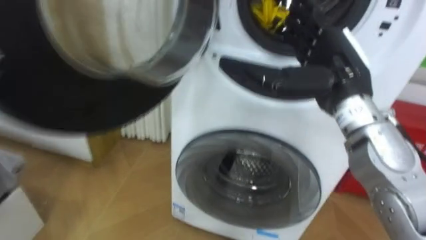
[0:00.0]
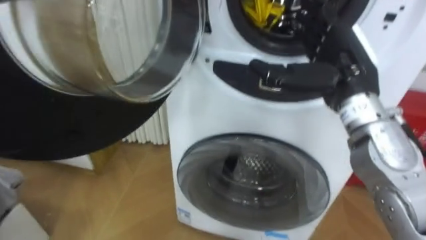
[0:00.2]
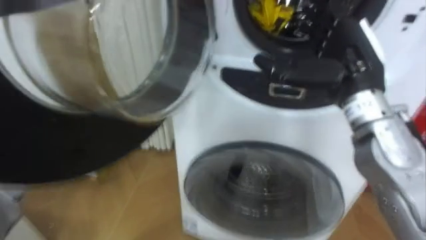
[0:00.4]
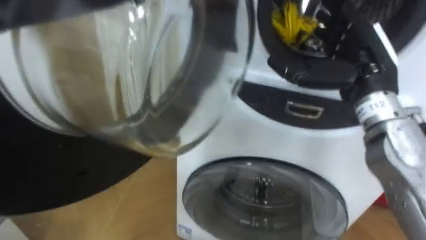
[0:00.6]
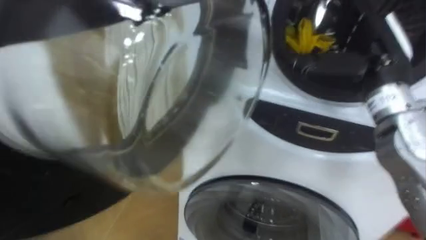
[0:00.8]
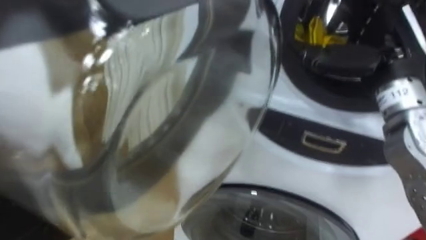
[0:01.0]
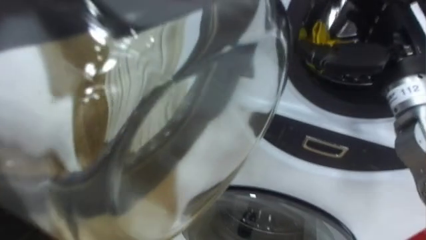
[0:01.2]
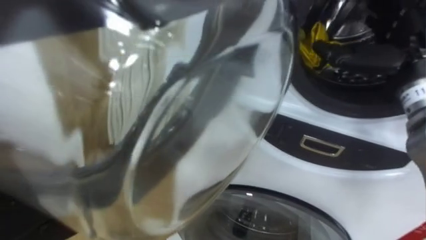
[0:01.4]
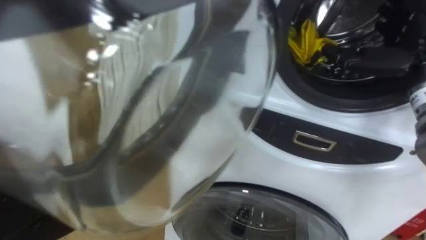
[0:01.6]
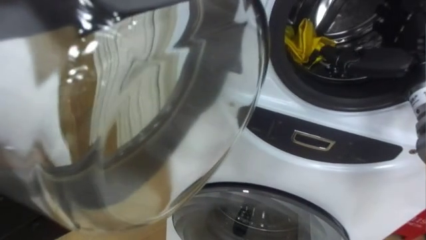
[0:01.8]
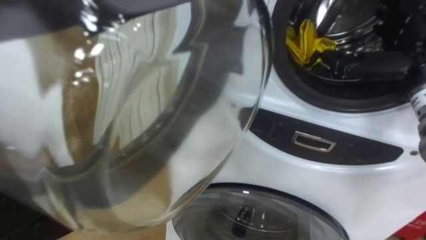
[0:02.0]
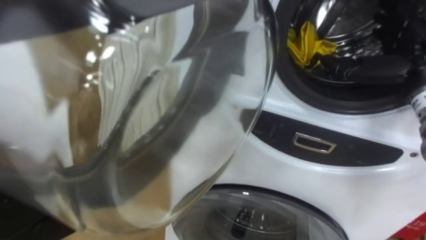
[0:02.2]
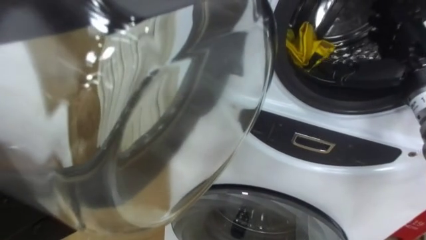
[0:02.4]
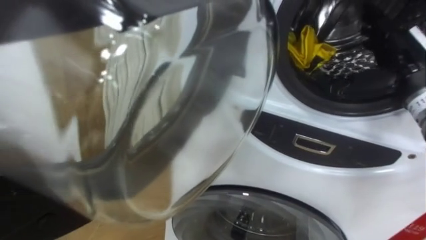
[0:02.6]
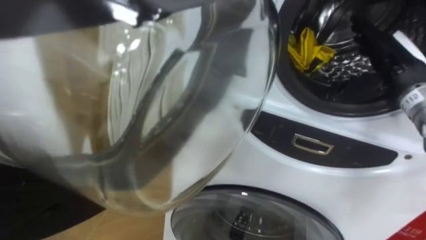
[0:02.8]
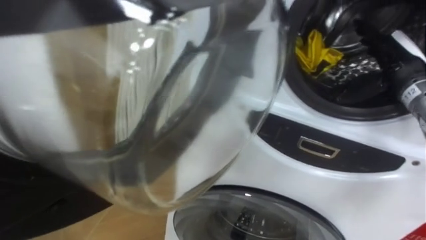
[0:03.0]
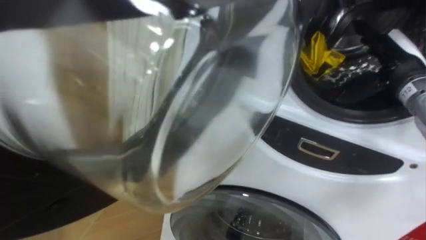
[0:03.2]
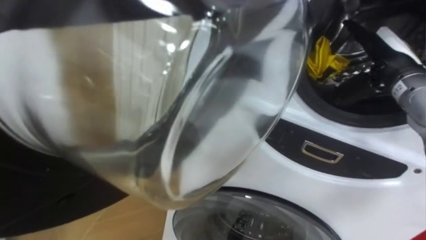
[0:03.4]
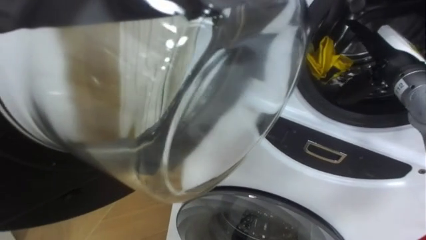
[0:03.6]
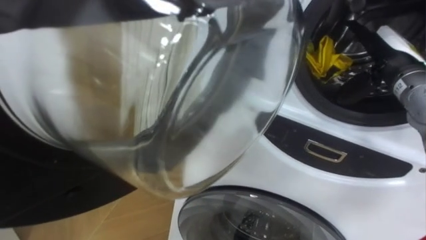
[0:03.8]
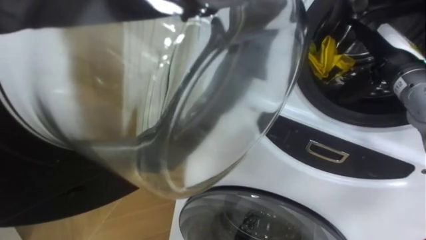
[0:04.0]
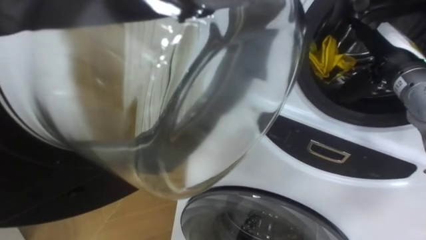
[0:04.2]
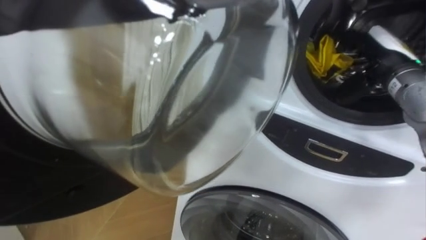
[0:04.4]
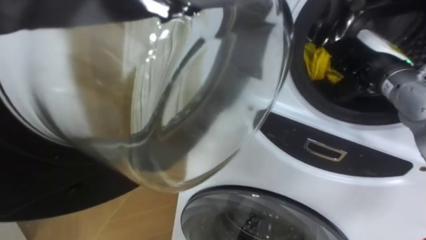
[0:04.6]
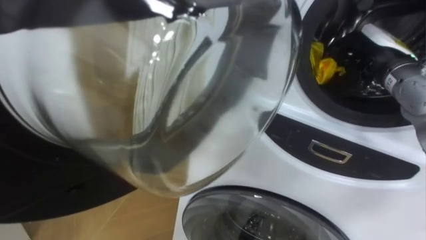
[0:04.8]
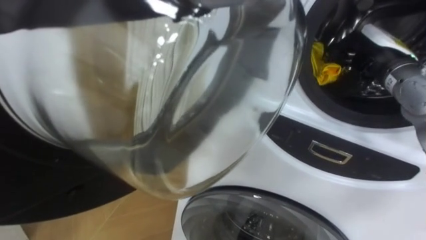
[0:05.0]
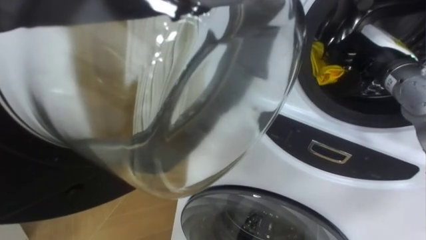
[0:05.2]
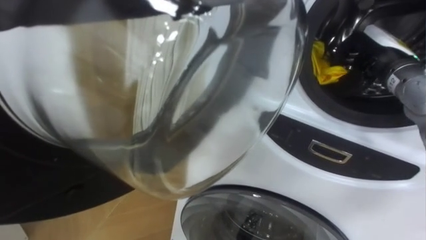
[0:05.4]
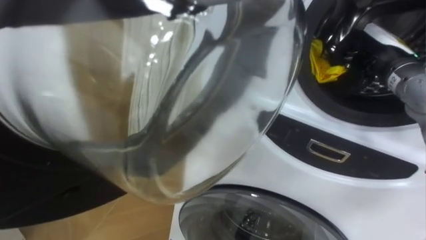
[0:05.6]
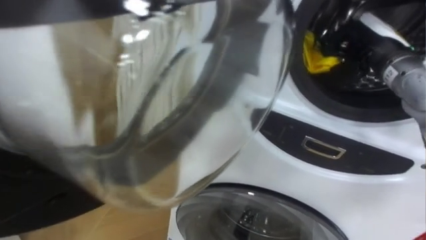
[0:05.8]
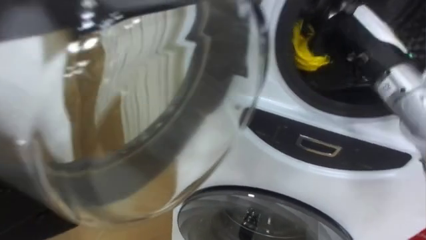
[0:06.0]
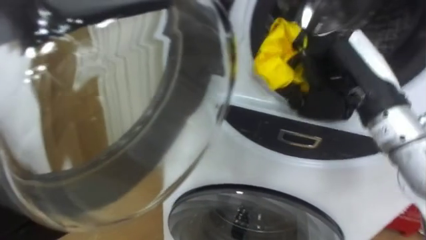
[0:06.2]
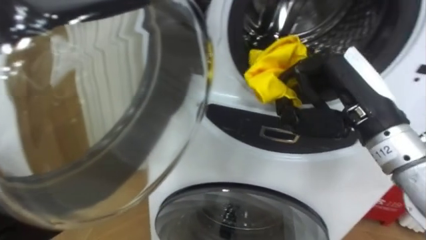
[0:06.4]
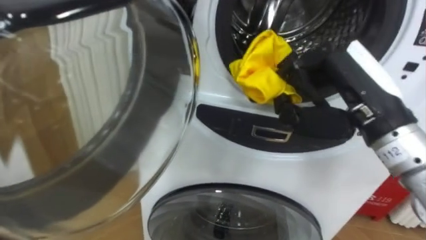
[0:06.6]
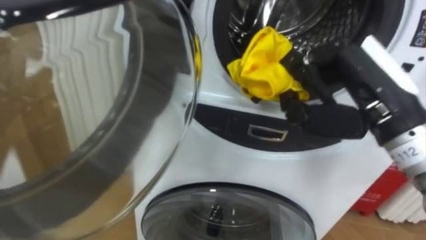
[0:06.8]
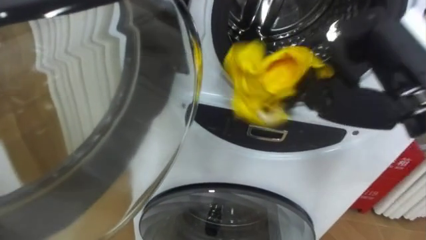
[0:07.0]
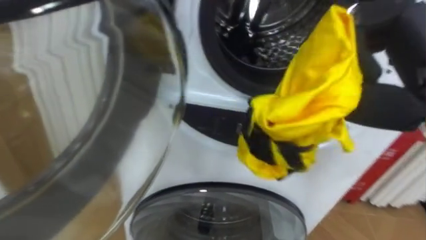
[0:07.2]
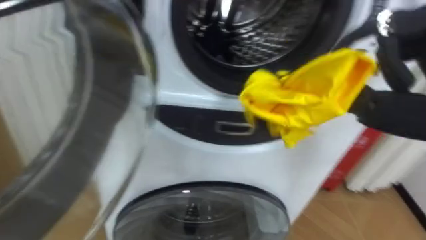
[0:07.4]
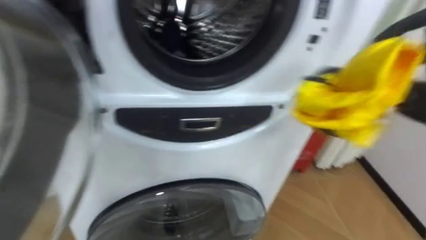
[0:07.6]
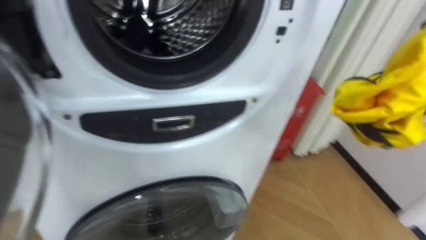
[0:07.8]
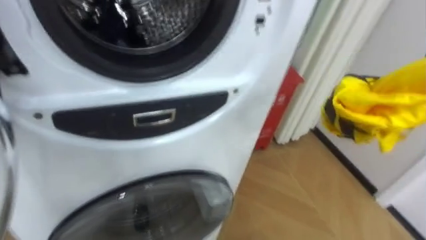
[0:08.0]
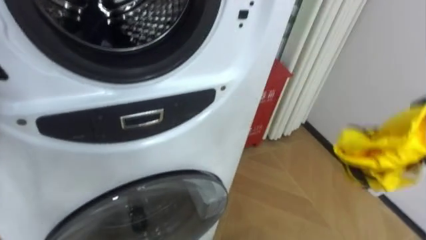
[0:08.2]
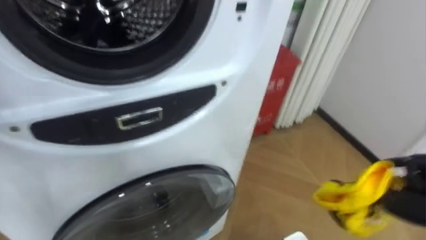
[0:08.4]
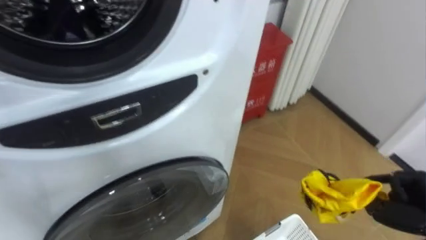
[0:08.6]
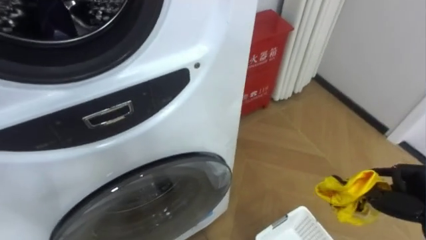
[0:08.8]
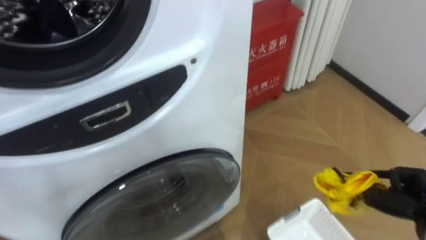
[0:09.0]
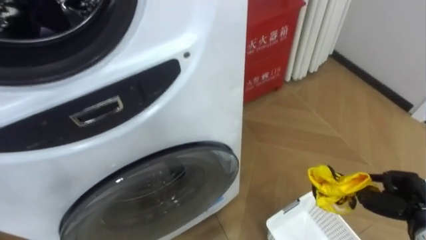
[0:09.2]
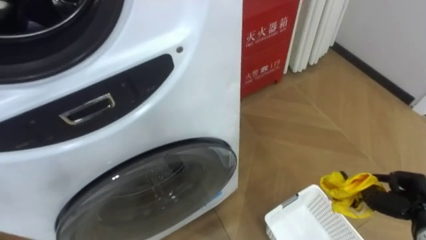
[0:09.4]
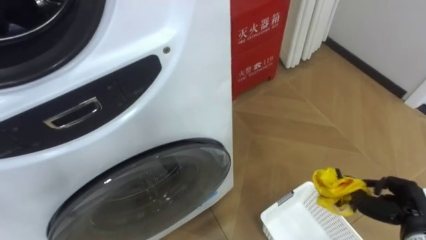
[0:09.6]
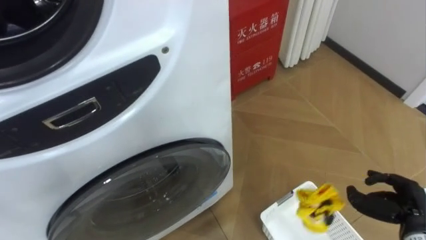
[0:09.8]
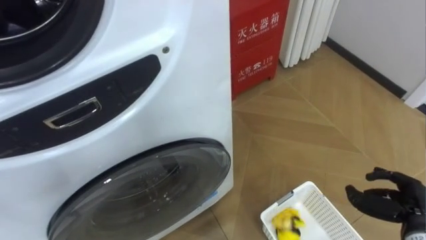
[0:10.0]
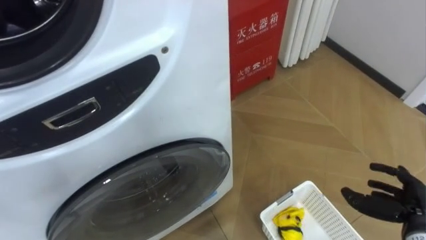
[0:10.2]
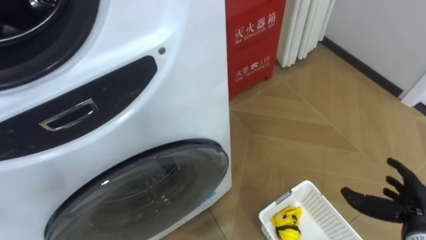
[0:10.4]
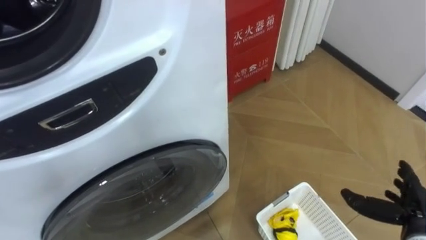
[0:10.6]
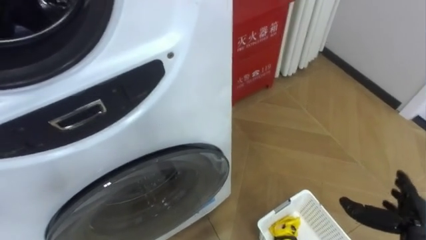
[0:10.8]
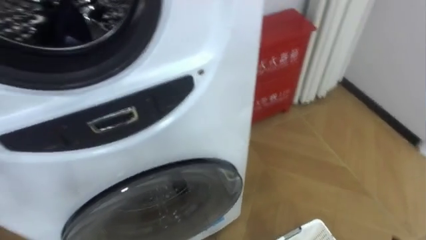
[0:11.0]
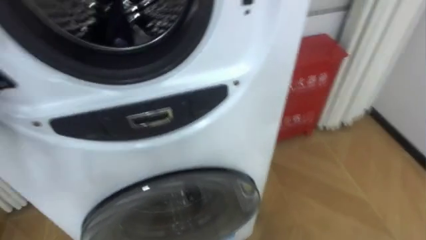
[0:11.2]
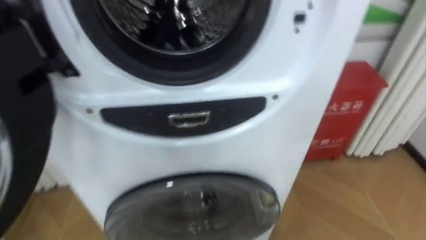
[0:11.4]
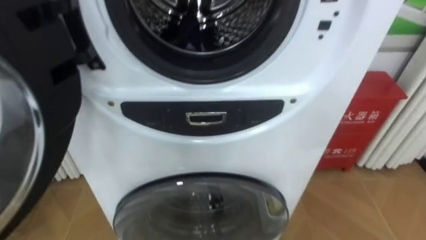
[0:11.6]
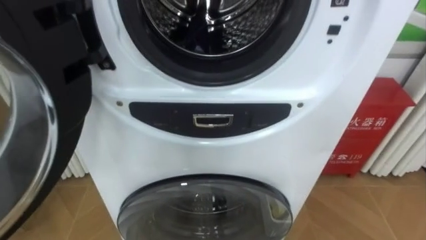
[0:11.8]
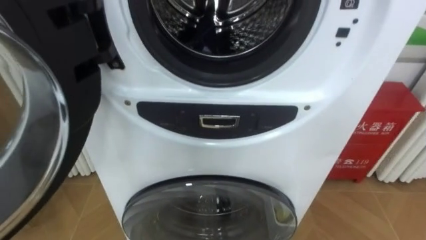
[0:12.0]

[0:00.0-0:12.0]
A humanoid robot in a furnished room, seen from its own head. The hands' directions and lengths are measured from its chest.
Task of the whole recording: Open the washing machine door, take out the yellow clothes, place them in the box on the right, and close the washing machine door.
0:00.0 to 0:01.6: The right hand heads to the right, covering approximately 10 cm.
0:01.6 to 0:03.0: The right hand moves approximately 5 cm.
0:04.4 to 0:06.0: The right hand goes roughly 5 cm to the left, and closes up.
0:09.0 to 0:10.4: The right hand opens up.

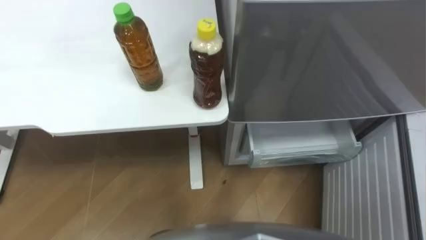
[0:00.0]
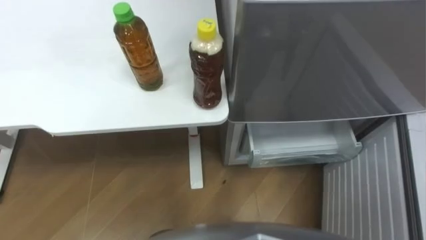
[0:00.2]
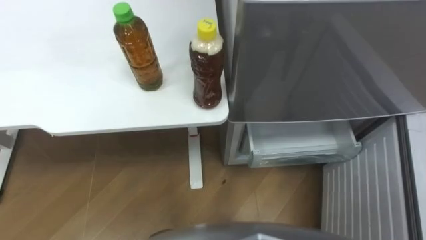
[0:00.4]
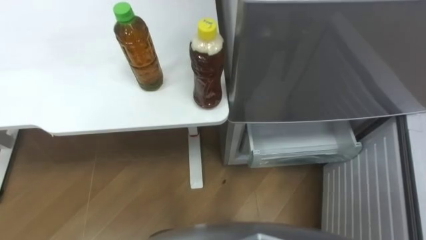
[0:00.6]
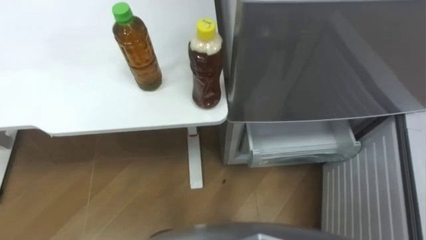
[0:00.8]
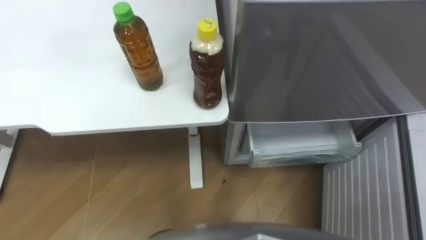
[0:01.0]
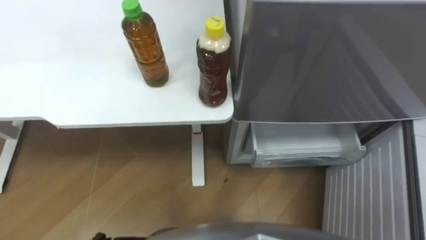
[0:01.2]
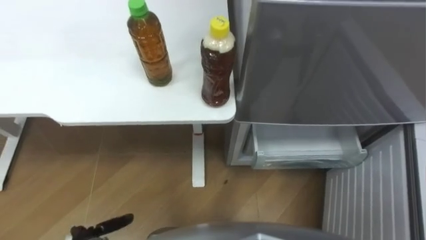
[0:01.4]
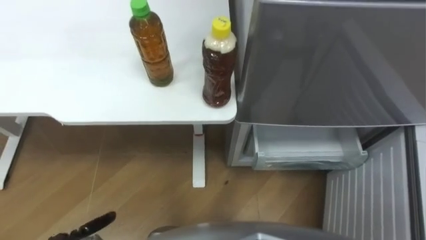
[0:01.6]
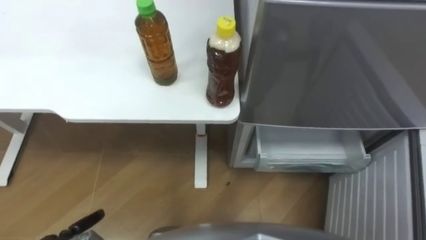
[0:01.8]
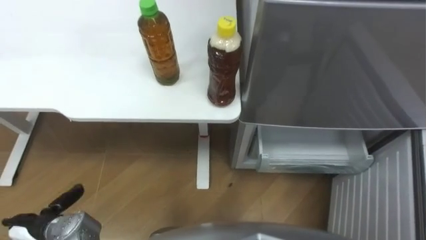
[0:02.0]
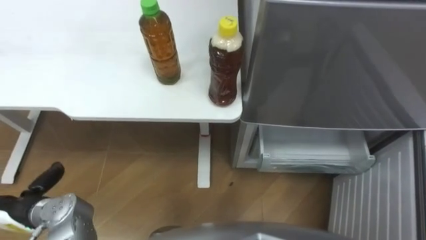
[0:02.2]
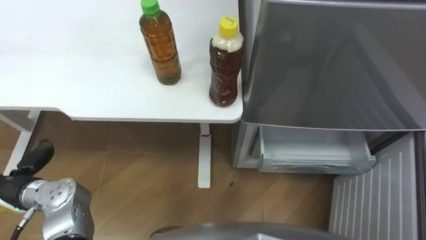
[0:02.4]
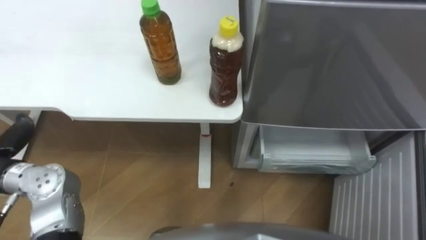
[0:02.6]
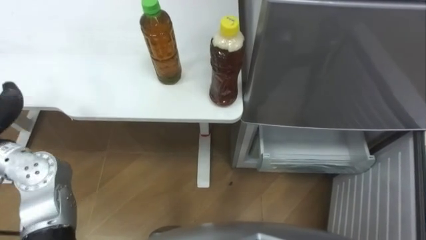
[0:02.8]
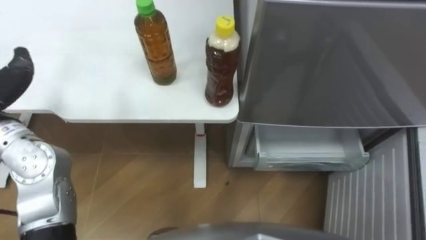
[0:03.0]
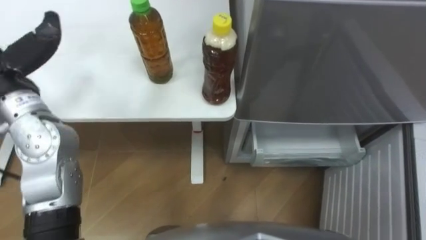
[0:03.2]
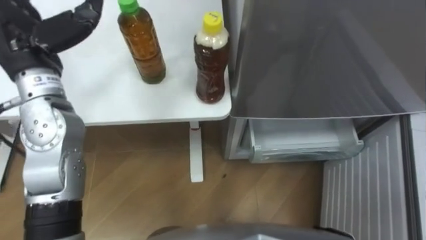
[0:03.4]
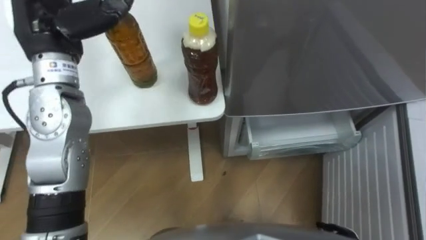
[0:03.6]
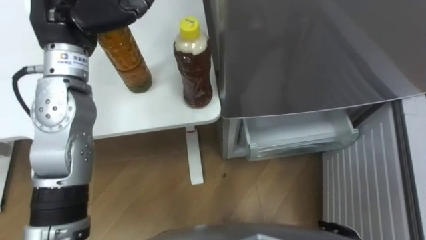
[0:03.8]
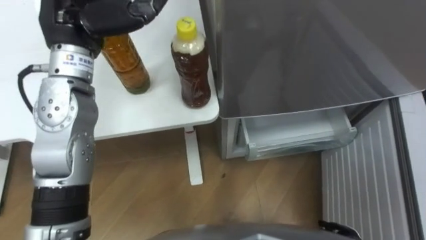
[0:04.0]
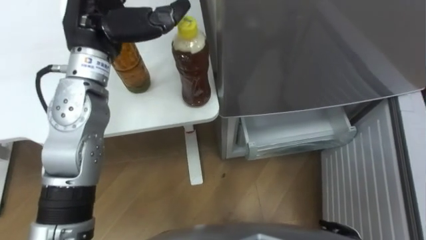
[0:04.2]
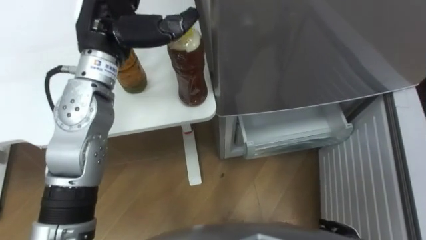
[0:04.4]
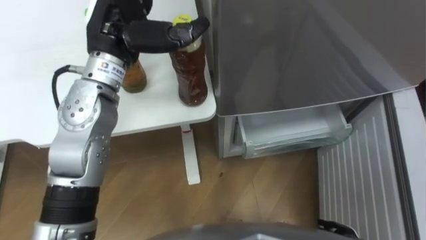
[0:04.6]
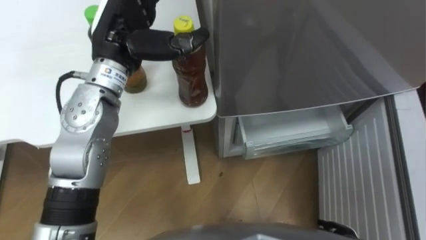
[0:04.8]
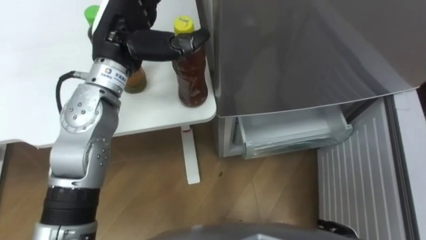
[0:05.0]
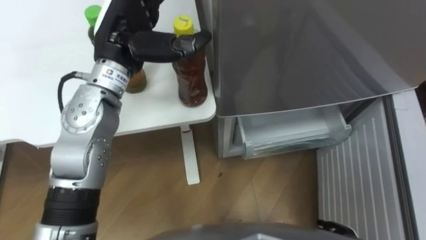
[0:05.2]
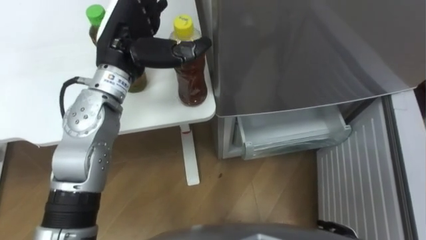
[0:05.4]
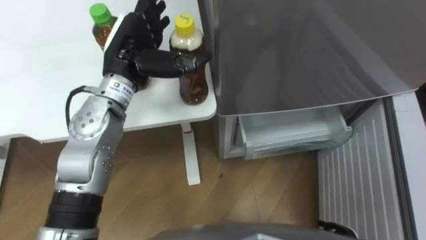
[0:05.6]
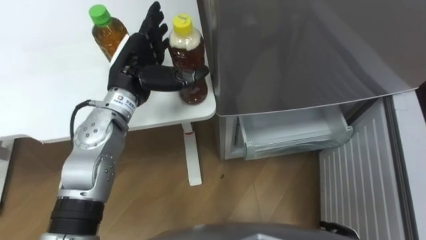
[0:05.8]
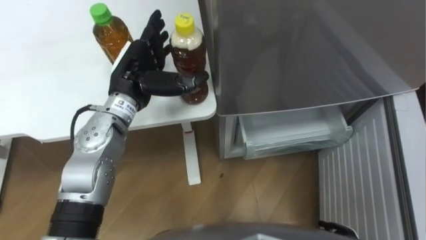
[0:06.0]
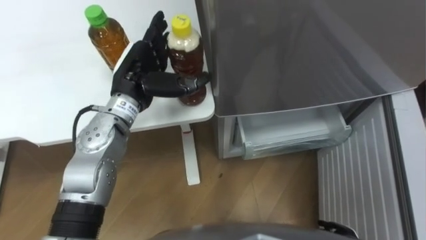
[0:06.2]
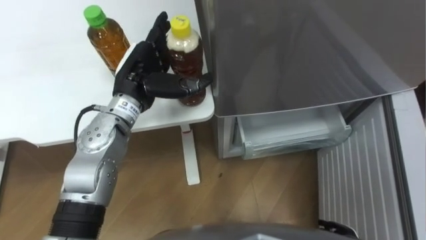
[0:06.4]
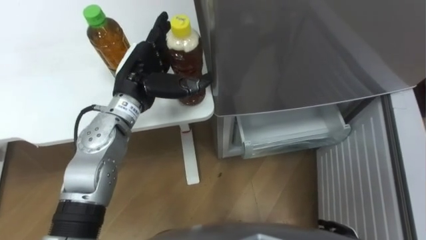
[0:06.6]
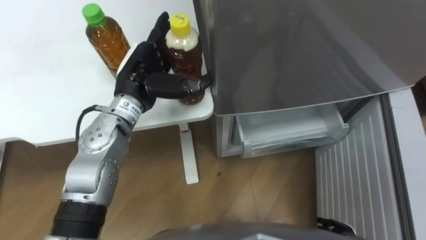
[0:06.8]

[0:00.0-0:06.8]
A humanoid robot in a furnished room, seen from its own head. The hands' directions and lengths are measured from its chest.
Task of the whole recording: Place the drink on the table on the bottom shelf of the refrigerator, then close the drawer and the refrigerator door.
0:04.0 to 0:05.4: The left hand shifts roughly 10 cm downward and to the right.
0:05.4 to 0:06.8: The left hand travels downward by approximately 5 cm.
